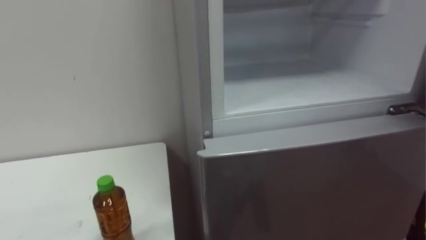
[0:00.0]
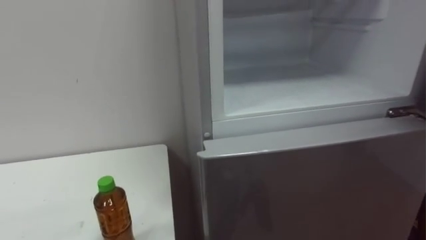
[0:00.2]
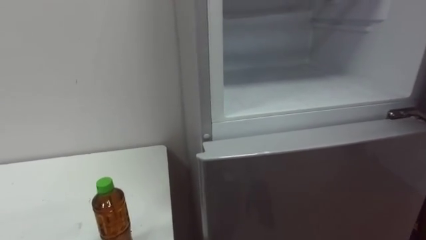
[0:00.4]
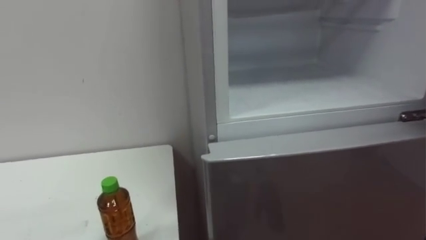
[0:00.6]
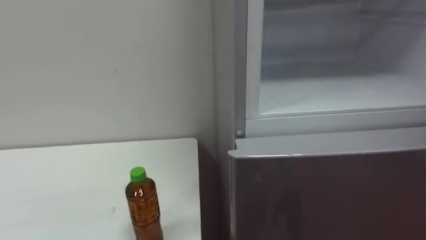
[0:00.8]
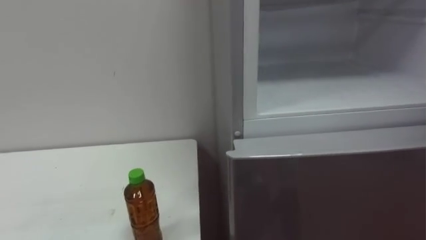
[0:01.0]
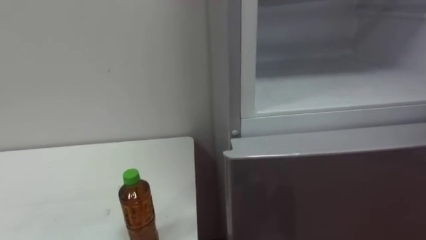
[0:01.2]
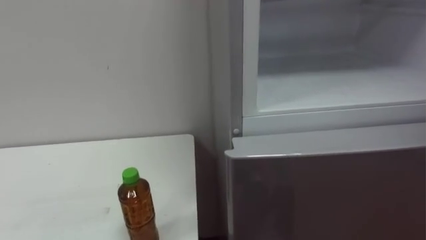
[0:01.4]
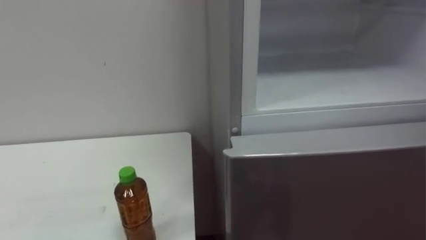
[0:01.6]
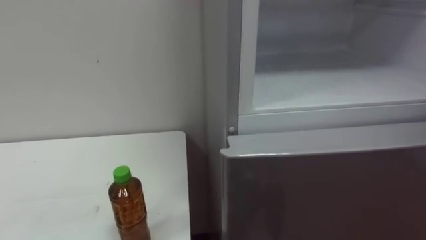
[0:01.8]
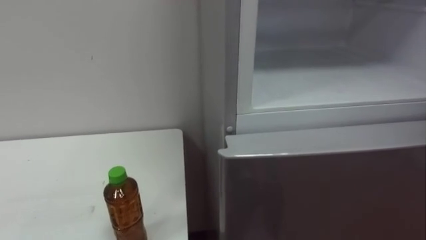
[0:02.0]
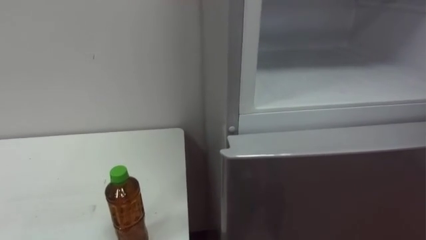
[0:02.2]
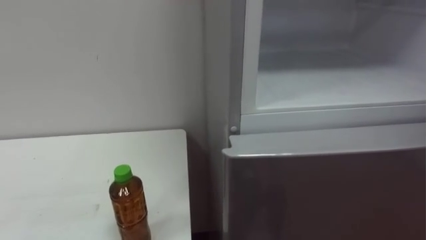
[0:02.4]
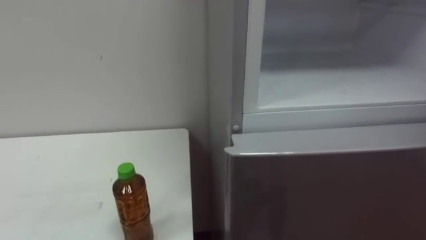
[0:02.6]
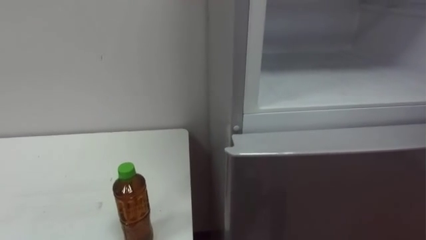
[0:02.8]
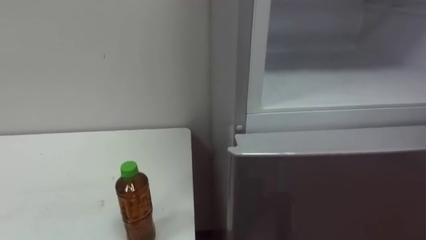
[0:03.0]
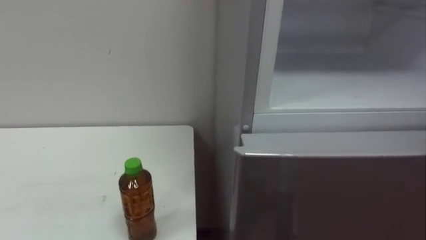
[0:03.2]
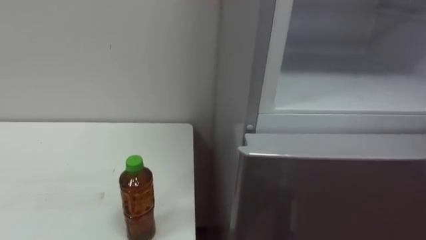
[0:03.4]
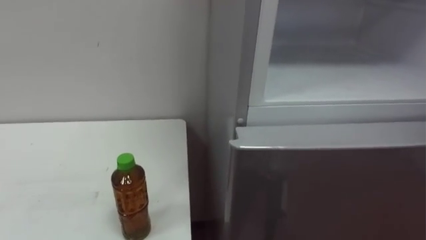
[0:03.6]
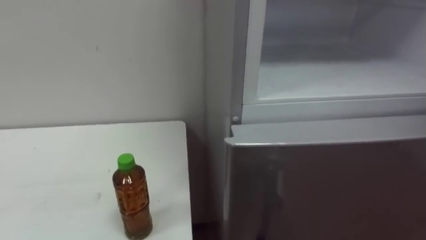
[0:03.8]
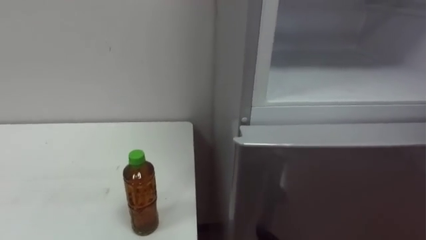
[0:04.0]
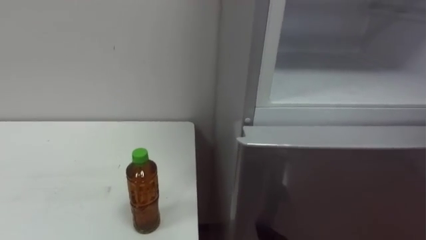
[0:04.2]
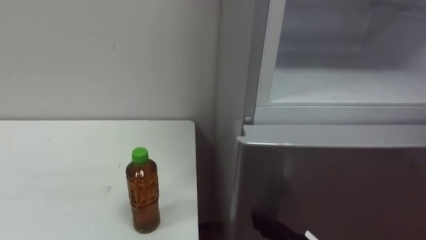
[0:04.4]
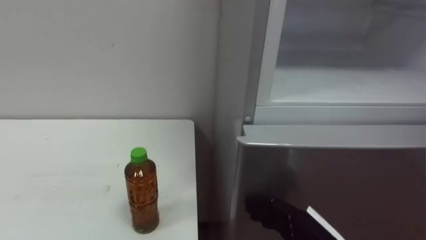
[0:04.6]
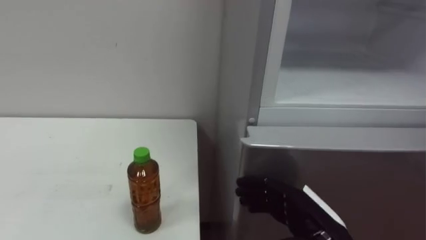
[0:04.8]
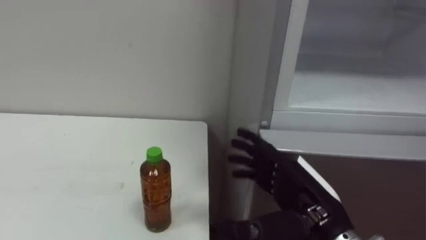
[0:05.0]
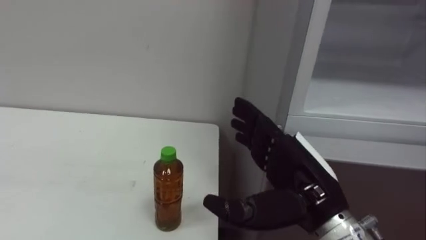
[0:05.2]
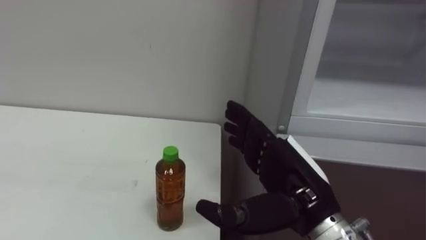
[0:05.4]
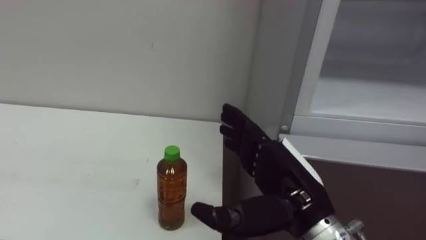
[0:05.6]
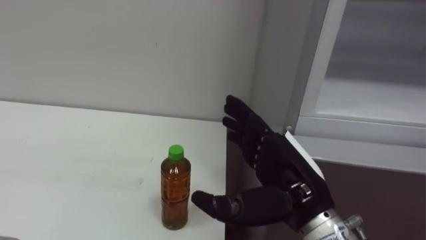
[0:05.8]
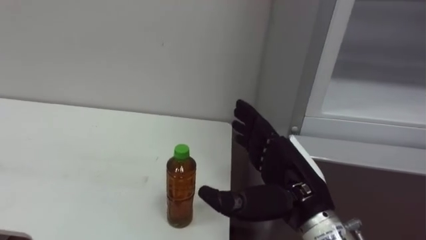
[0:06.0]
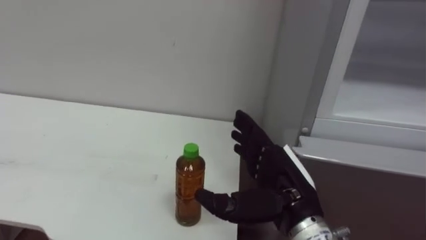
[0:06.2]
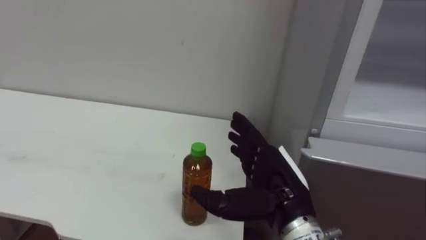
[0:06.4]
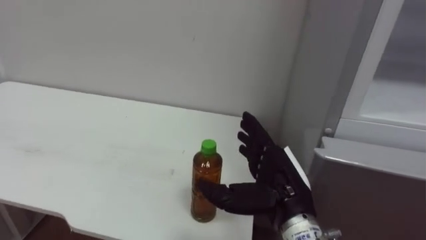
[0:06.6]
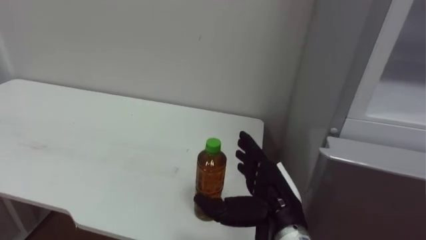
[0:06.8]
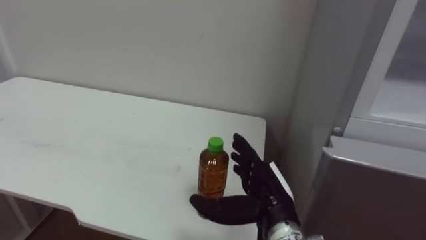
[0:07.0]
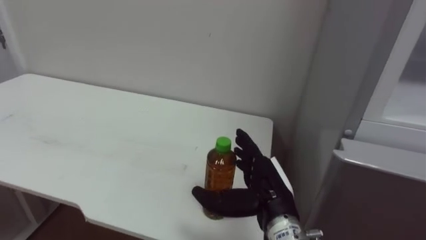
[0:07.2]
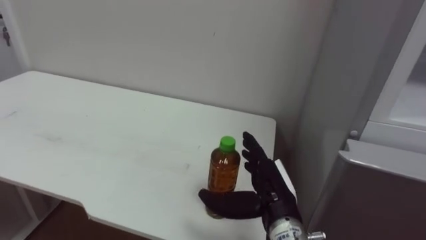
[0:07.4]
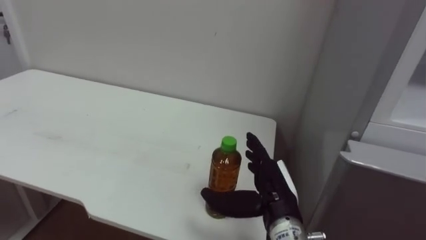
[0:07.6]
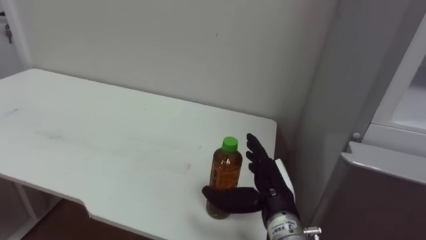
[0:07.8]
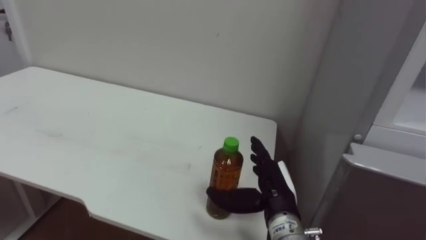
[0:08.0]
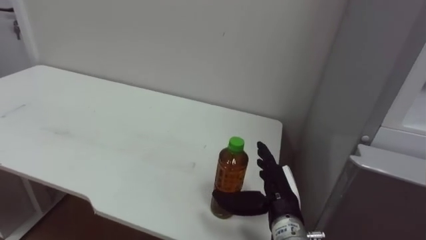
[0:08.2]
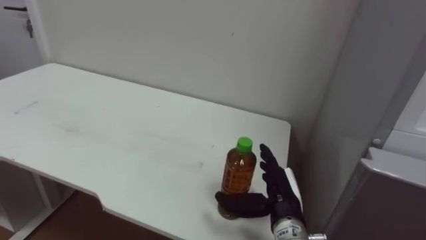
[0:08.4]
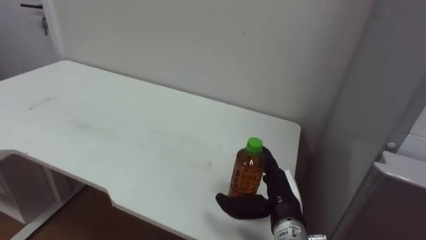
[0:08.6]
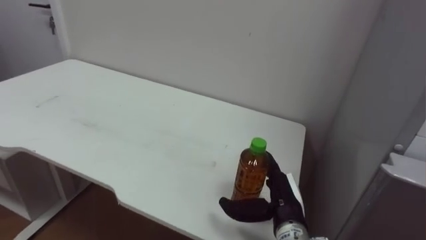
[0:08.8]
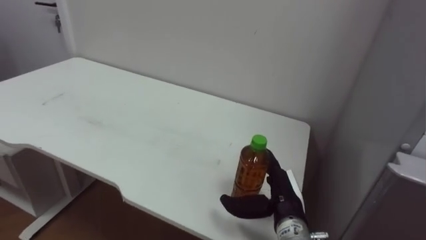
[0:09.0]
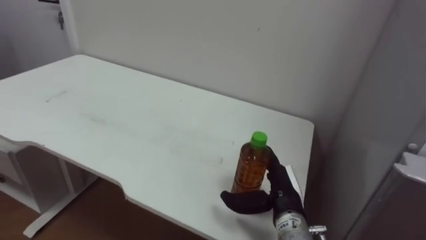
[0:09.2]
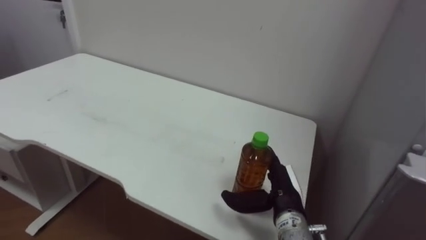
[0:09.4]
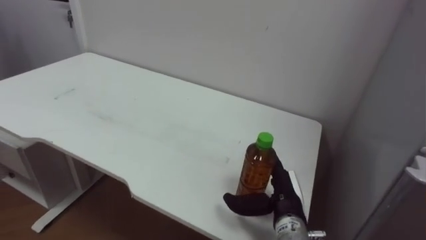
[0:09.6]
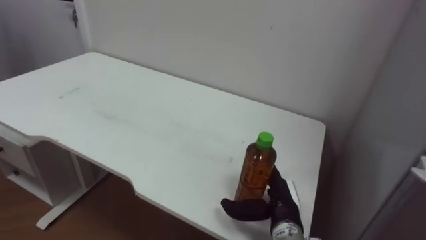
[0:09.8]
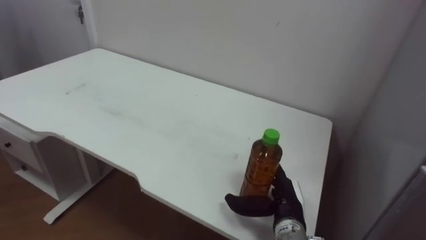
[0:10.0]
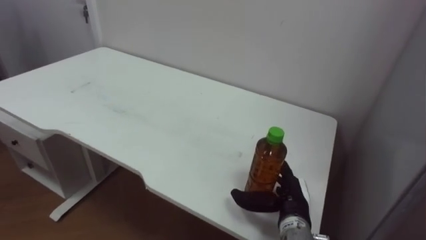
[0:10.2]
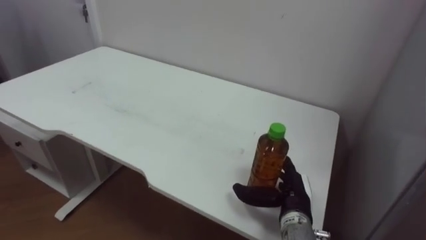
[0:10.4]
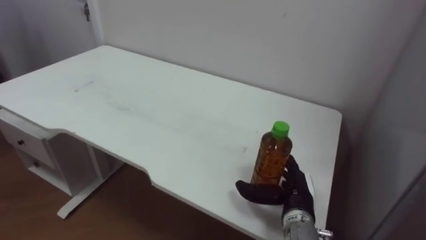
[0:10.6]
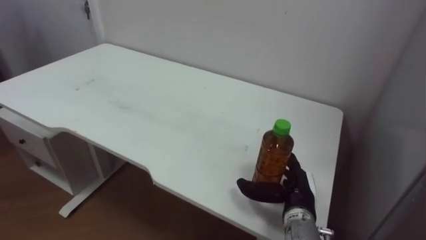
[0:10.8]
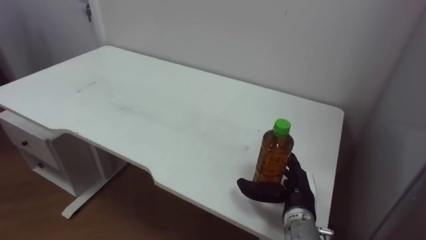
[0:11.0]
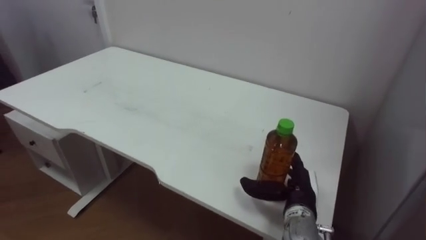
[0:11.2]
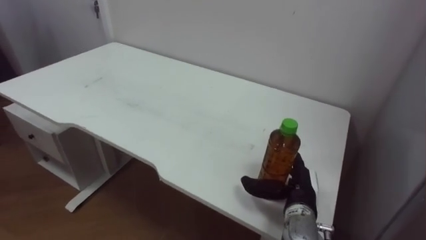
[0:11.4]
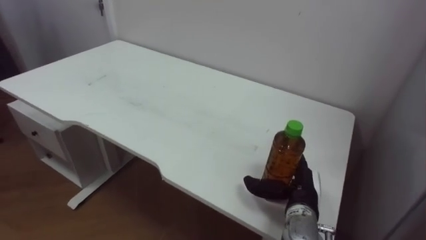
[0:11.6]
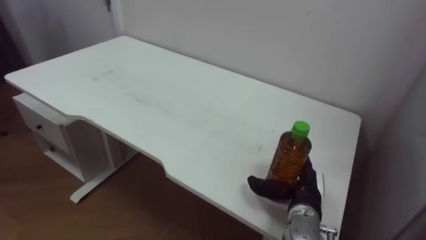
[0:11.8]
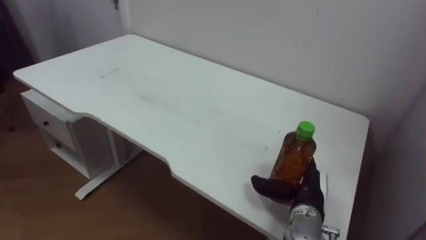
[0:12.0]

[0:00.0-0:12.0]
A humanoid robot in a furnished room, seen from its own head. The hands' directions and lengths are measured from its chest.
Task of the whole recording: Open the upper refrigerator door, put the drink from the table into the refrigerator, and then close the refrigerator door.
0:06.0 to 0:07.6: The right hand travels downward by about 10 cm.
0:07.6 to 0:09.0: The right hand ends up approximately 5 cm from where it was.

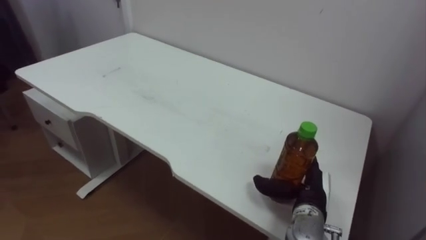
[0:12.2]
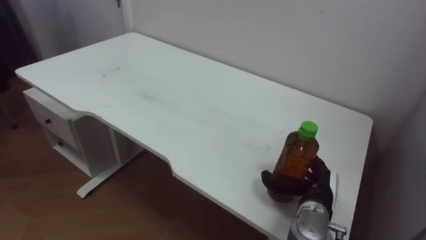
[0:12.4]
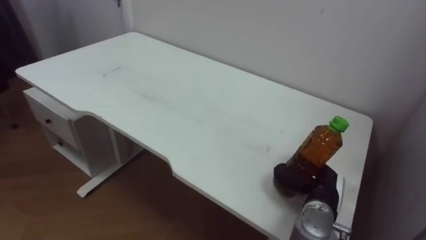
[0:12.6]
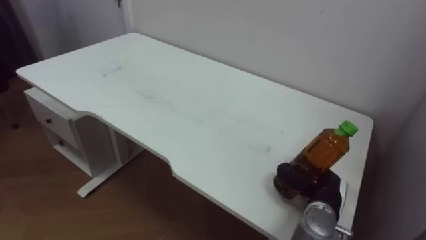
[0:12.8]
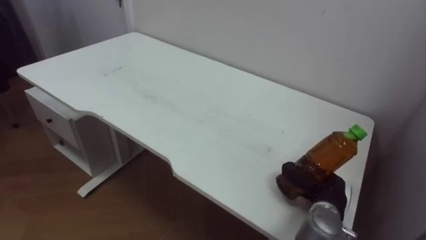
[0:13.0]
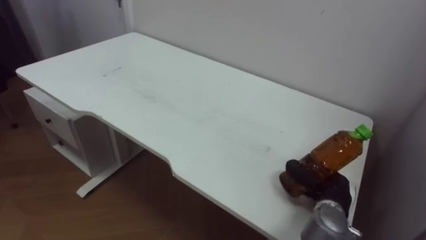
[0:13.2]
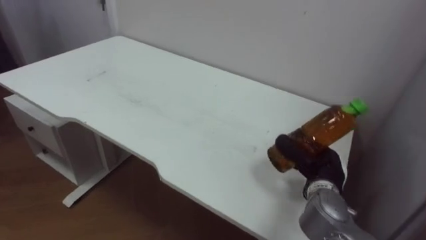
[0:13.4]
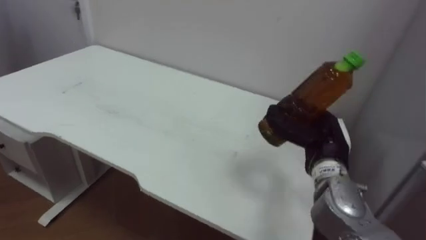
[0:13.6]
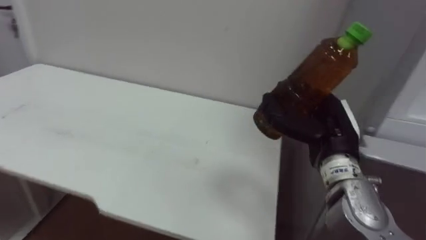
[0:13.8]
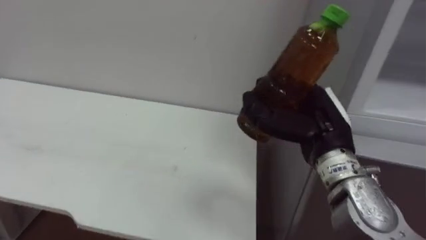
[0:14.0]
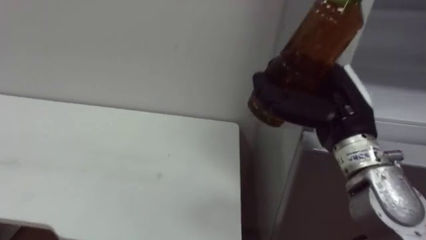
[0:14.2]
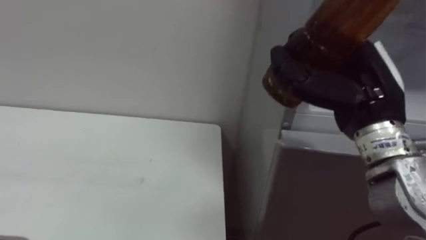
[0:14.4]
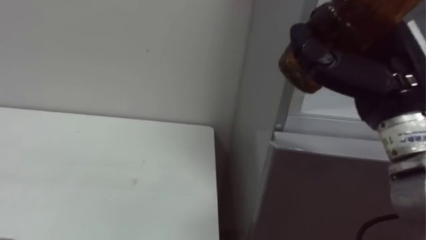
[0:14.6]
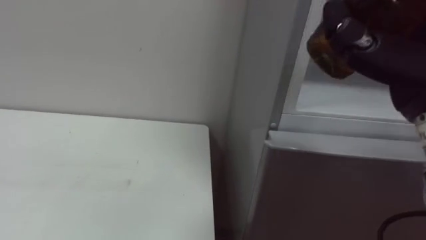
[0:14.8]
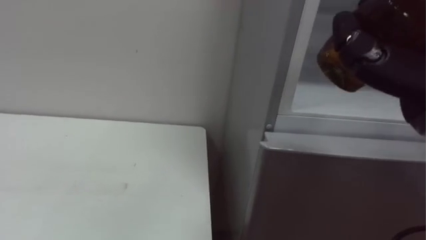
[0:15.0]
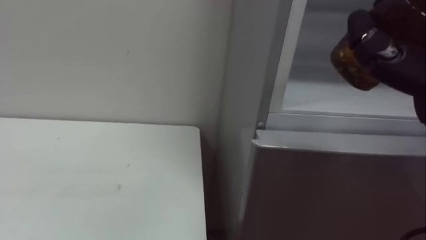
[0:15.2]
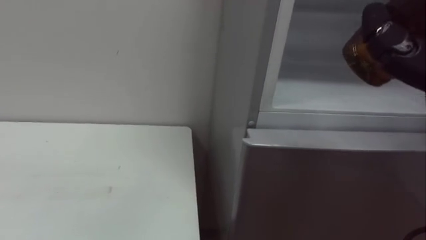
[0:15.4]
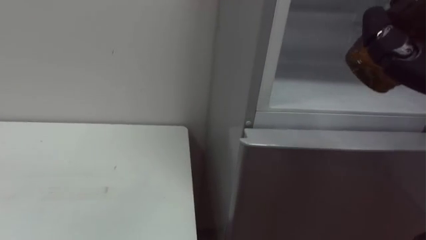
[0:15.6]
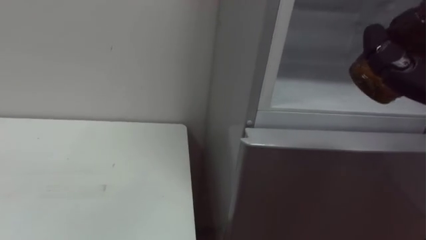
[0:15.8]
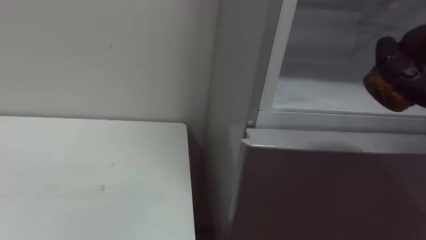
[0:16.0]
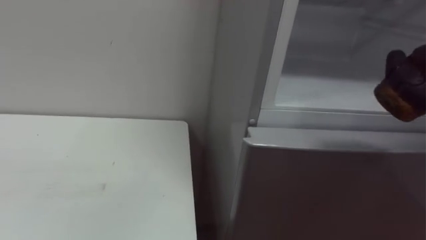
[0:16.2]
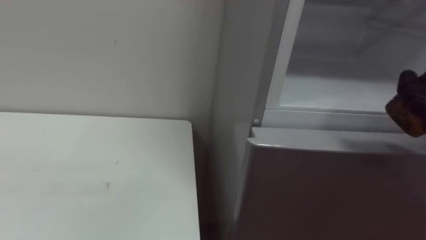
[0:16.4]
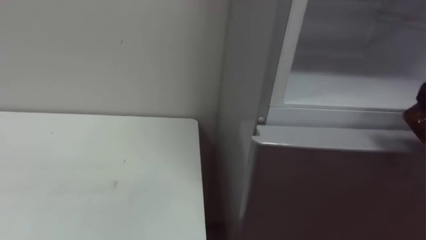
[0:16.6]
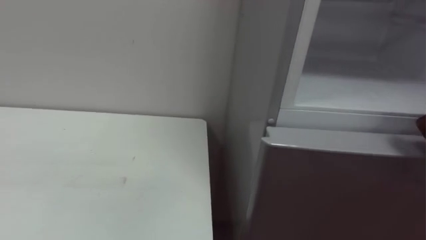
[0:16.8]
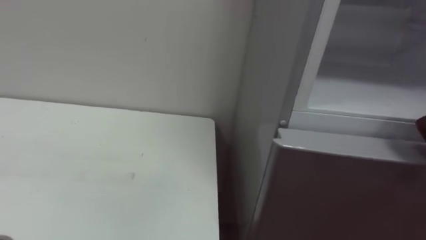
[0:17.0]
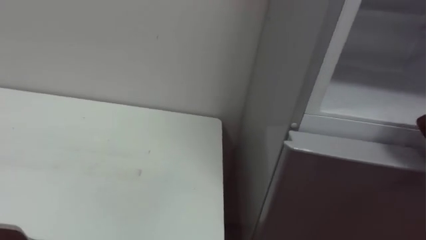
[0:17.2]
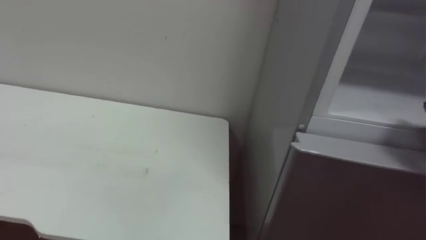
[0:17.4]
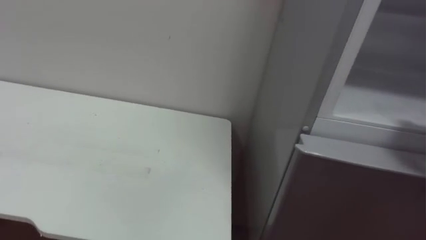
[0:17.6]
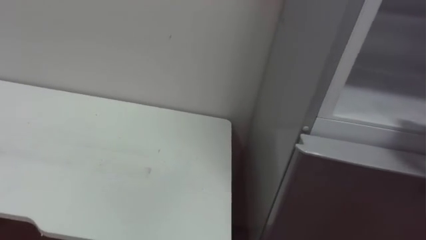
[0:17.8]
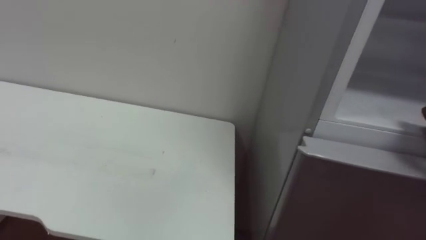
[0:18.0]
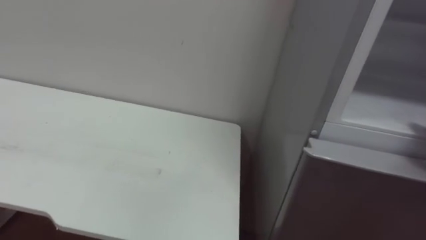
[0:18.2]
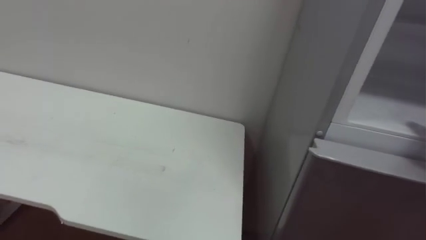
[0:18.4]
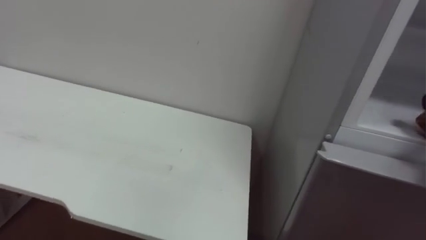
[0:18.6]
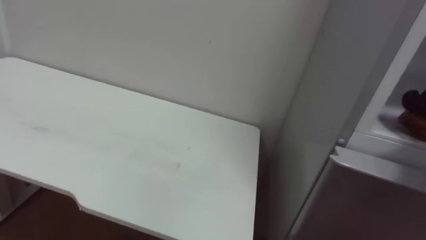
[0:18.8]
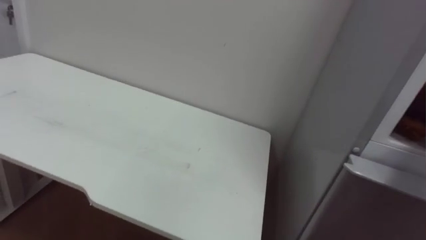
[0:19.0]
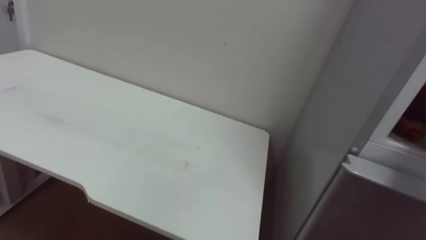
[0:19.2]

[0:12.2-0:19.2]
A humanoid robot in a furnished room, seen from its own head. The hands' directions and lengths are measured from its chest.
Task of the whole recording: Open the upper refrigerator door, put the drink from the table into the refrigerator, and then close the refrigerator door.
0:12.2 to 0:13.6: The right hand heads upward, covering roughly 10 cm, and closes up.
